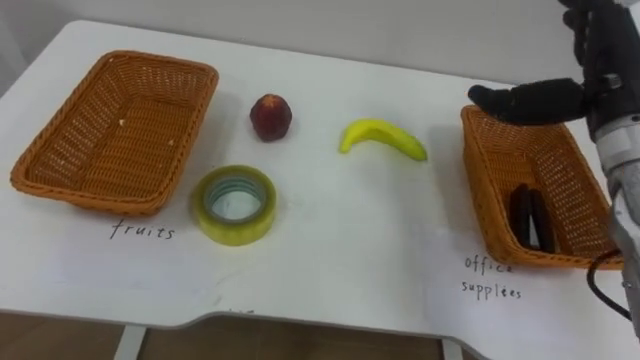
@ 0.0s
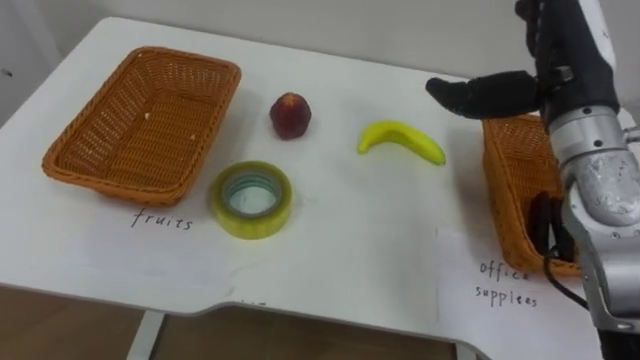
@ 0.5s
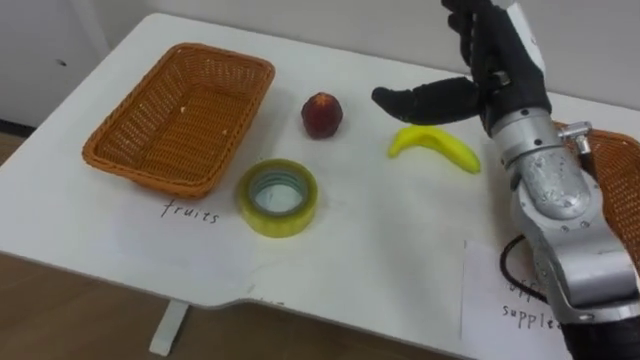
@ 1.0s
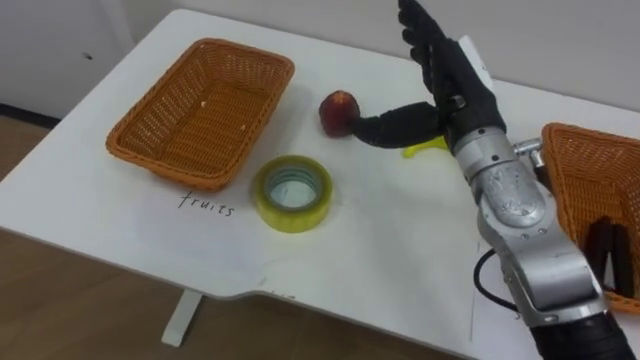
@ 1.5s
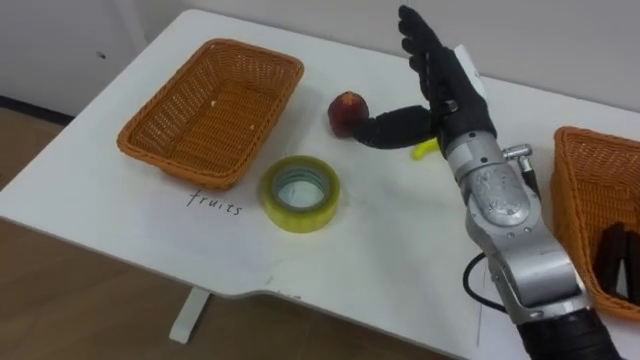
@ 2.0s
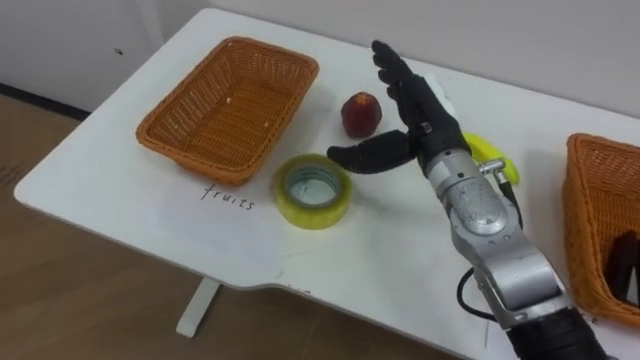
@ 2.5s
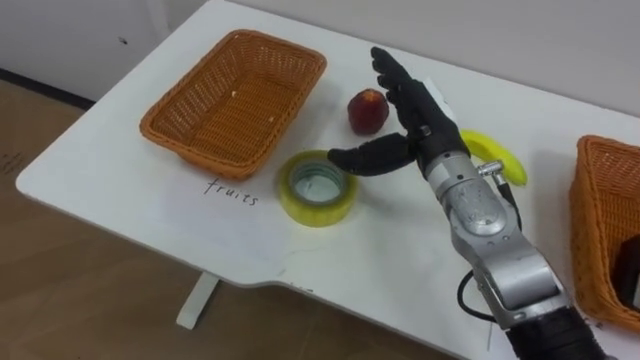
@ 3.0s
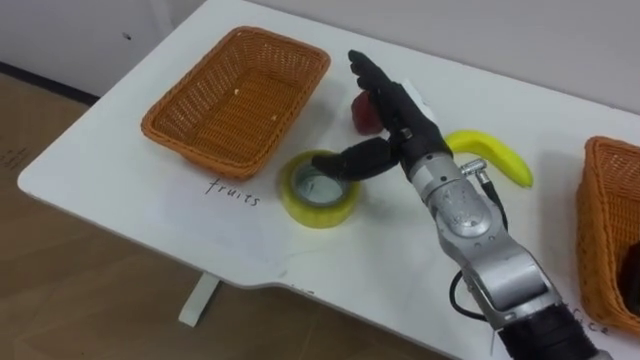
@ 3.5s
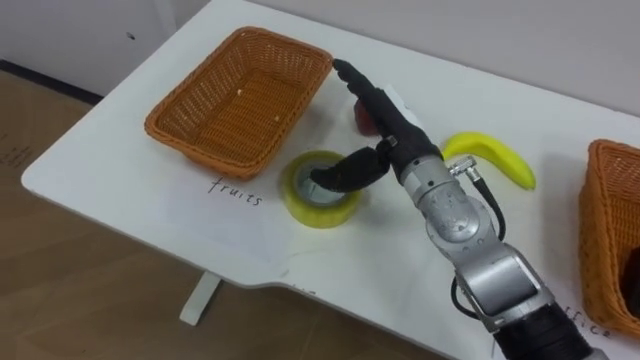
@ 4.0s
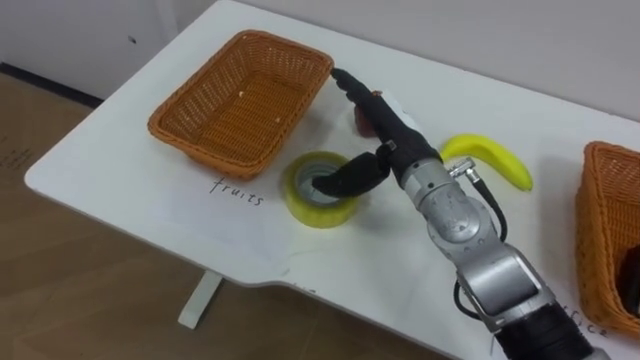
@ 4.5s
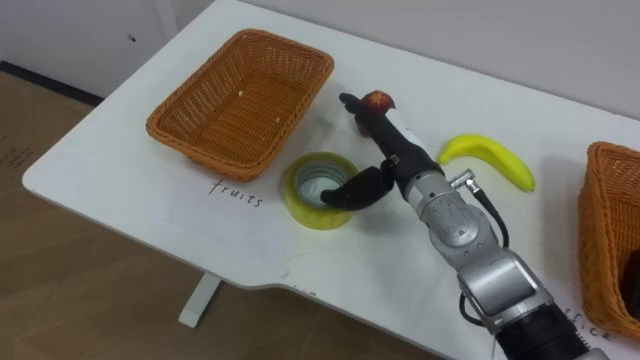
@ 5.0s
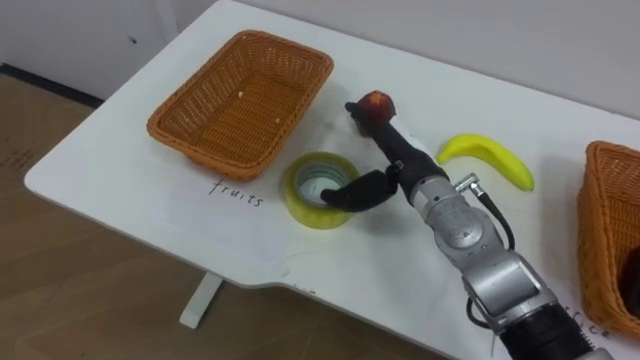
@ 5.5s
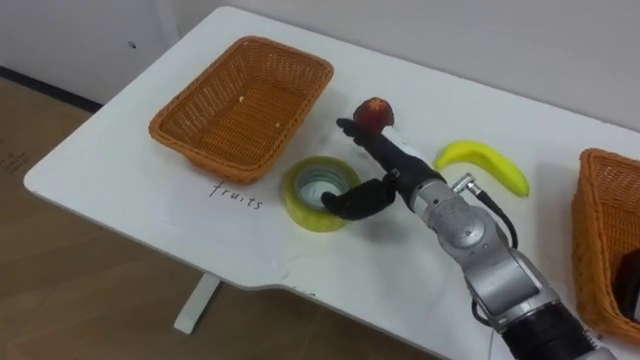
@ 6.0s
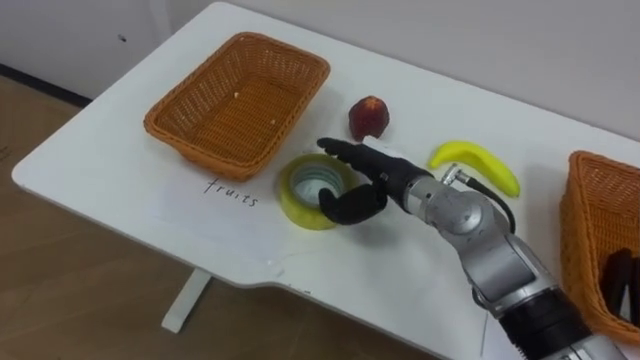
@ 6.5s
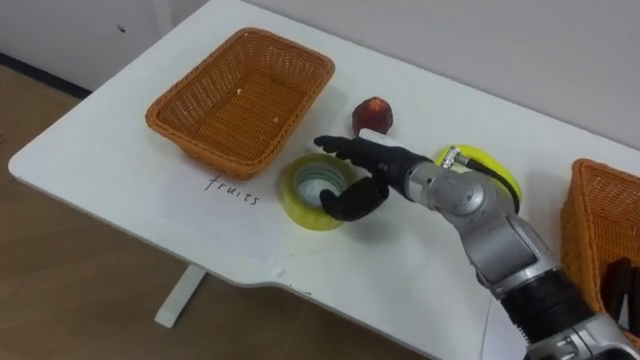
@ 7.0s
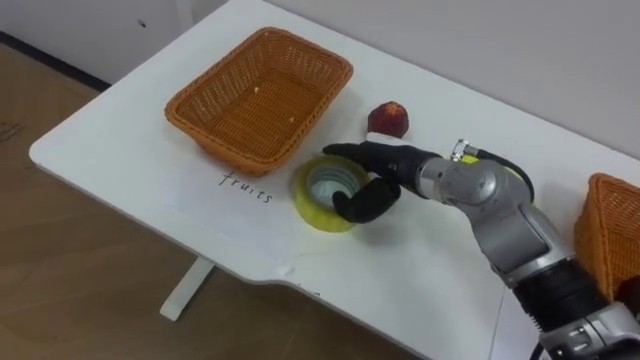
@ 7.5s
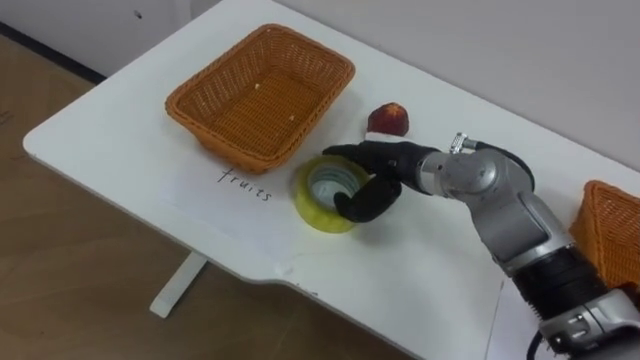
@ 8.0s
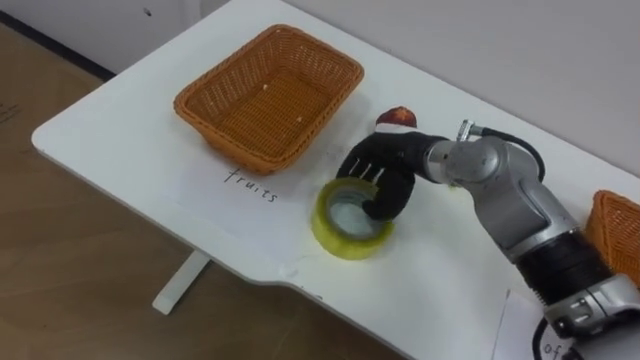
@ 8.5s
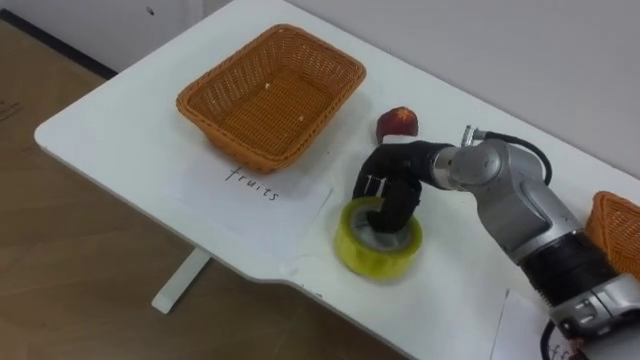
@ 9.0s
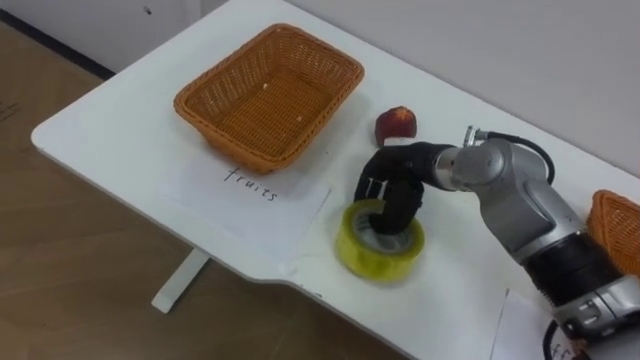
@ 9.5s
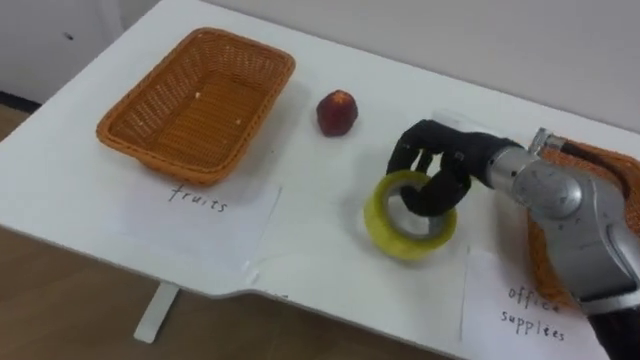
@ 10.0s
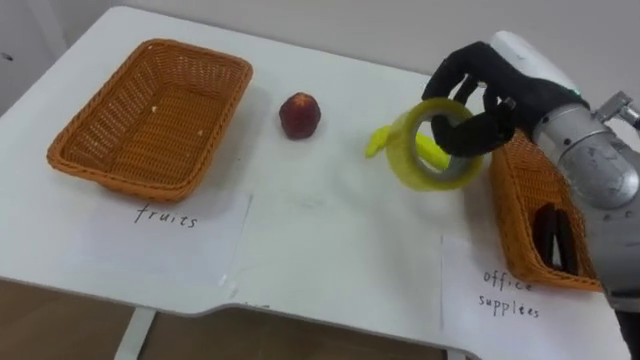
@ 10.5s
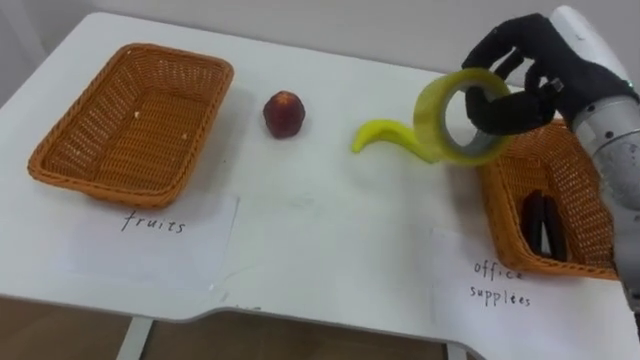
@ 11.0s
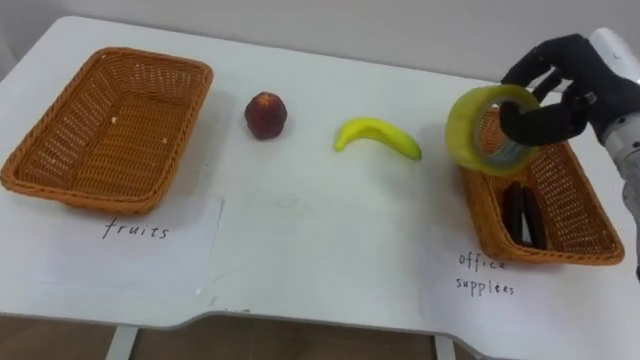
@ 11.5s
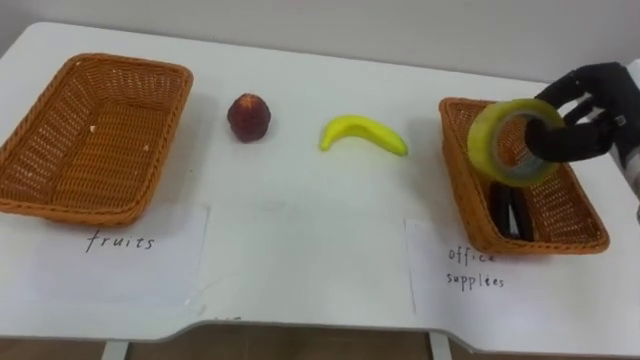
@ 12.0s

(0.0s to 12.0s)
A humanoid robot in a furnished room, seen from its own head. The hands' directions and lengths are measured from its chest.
Task of the whole recording: Separate the items on the table and place them into the two baskets.
0.0s - 2.0s: The right hand is displaced to the left and downward by approximately 15 cm.
2.0s - 4.0s: The right hand goes approximately 5 cm to the left.
4.0s - 6.0s: The right hand goes about 5 cm downward.
8.0s - 10.0s: The right hand shifts approximately 10 cm to the right, and closes its fingers.
10.0s - 12.0s: The right hand is displaced to the right by roughly 15 cm.

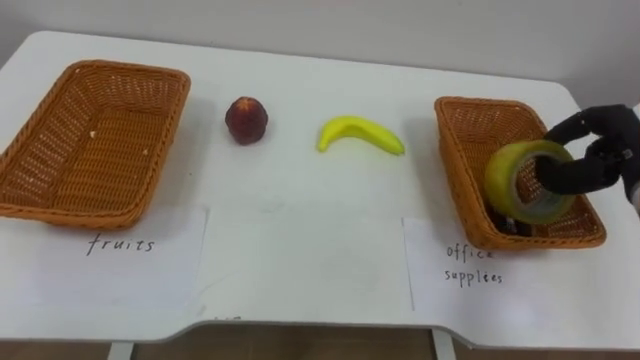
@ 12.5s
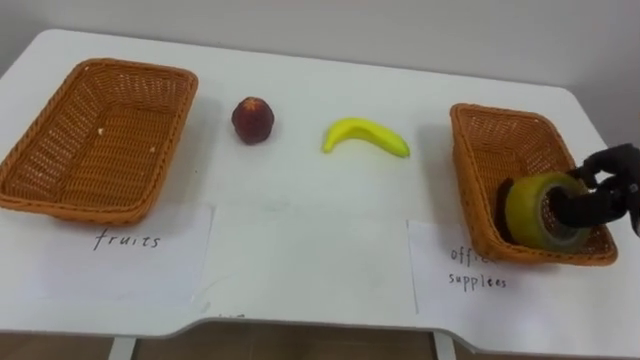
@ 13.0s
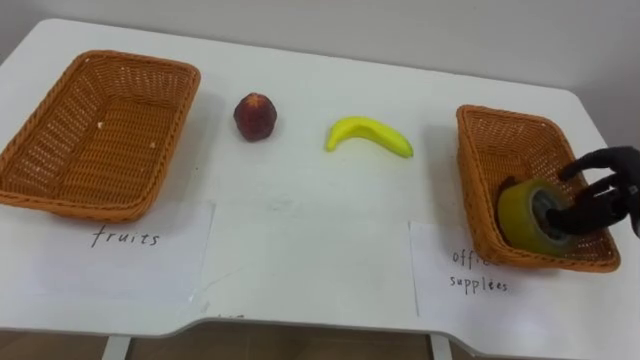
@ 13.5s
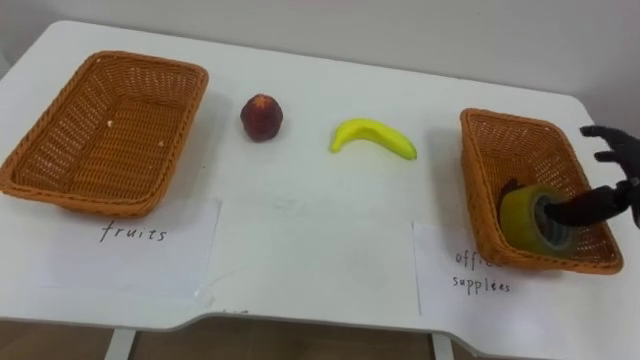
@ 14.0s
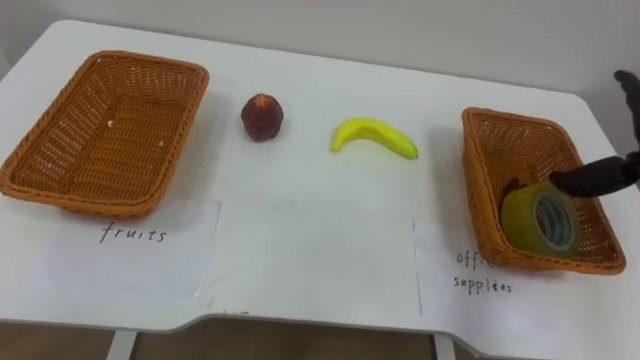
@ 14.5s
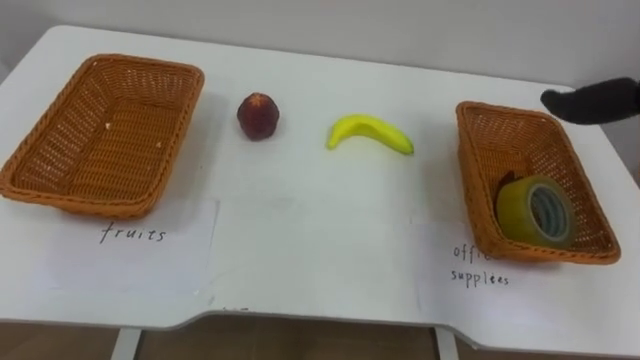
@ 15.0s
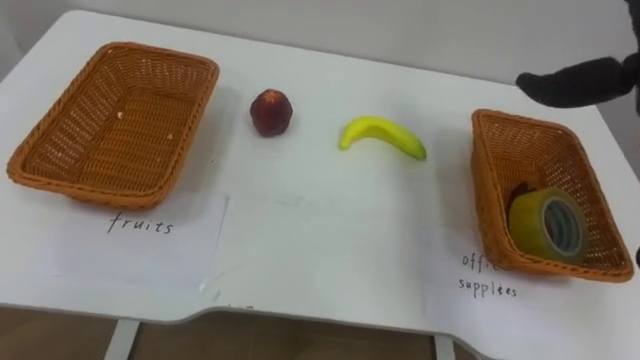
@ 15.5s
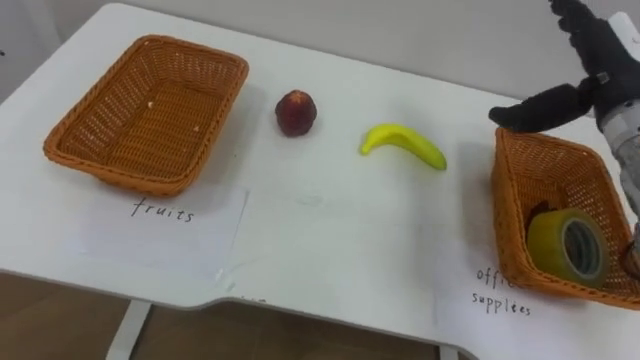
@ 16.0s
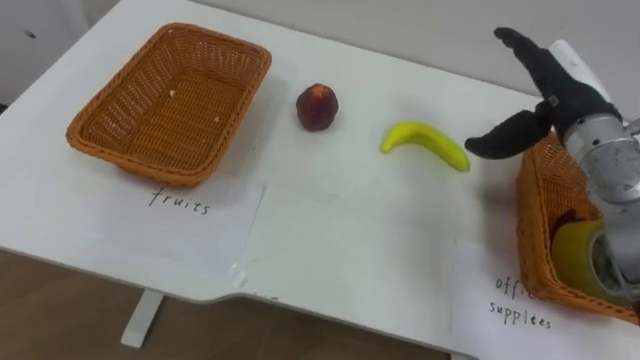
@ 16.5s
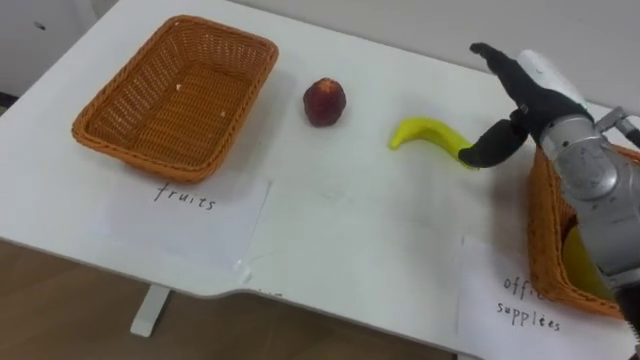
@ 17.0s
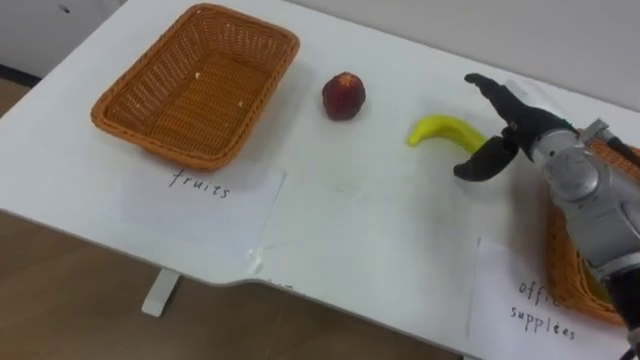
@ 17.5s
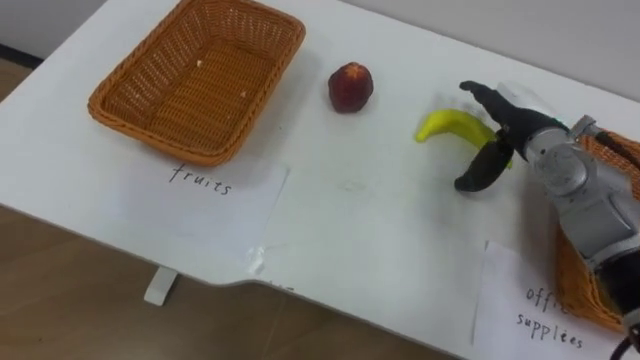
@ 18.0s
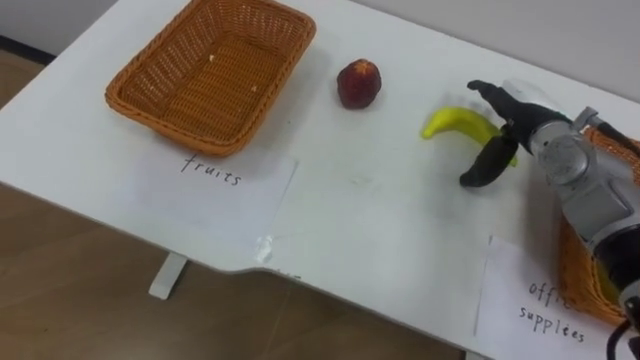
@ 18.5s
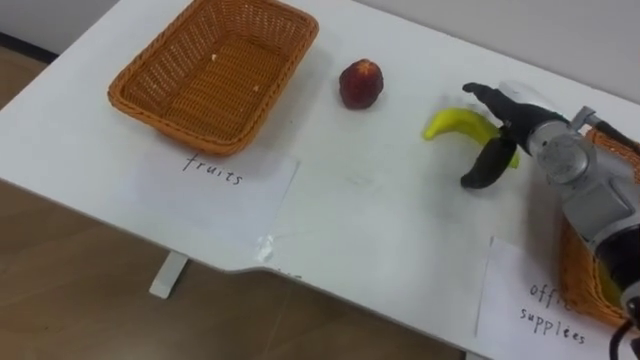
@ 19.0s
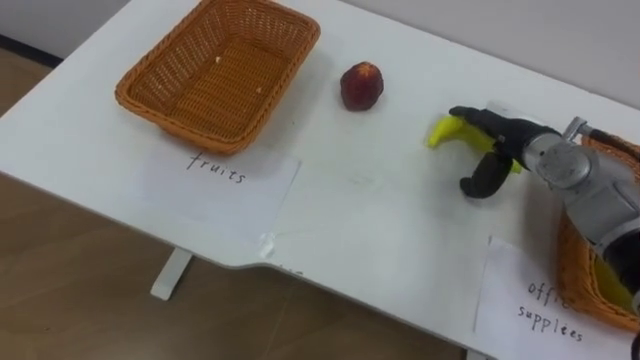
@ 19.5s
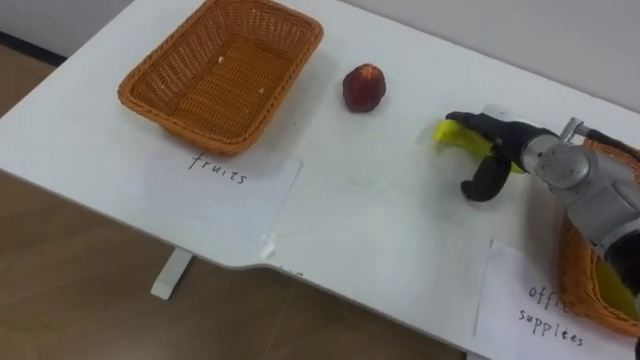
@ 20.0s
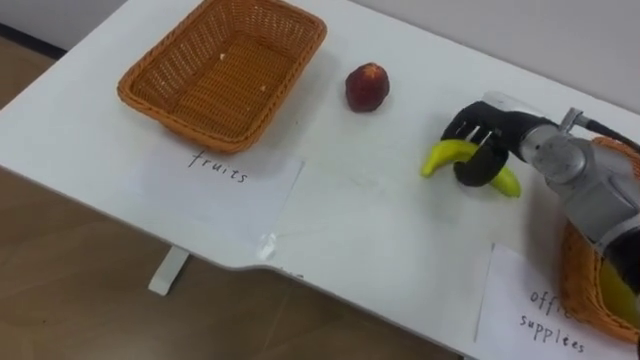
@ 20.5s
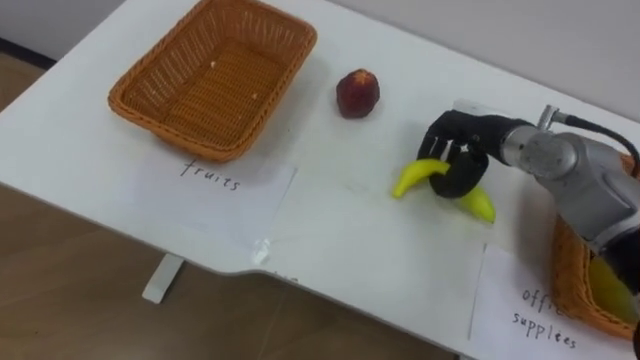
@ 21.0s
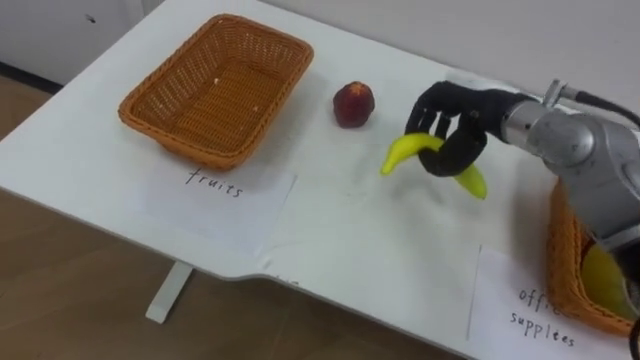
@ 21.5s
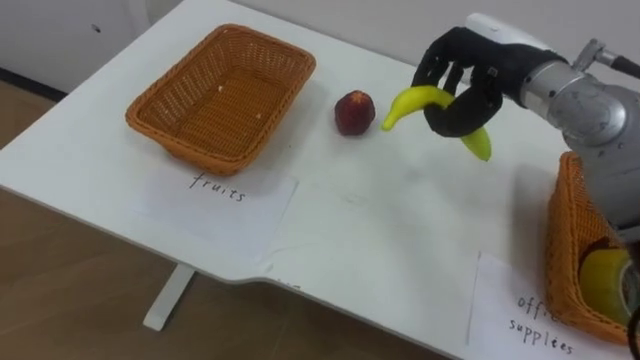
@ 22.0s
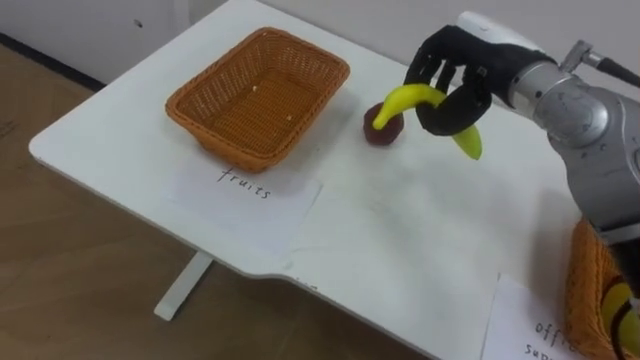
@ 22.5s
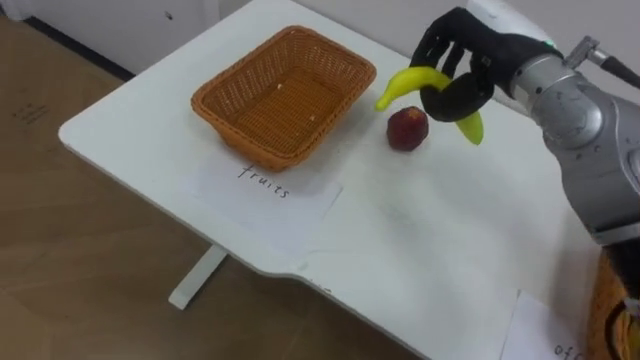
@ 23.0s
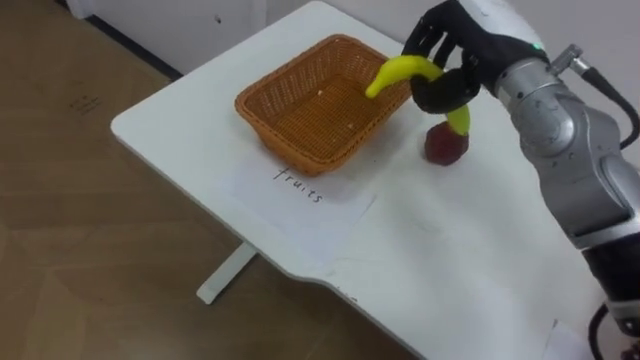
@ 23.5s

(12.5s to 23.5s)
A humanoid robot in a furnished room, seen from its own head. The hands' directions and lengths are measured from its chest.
Task of the whole recording: Separate the items on the table and place them into the two baskets.
16.0s - 18.0s: The right hand goes approximately 10 cm downward and to the left.
20.0s - 21.5s: The right hand goes some 10 cm upward and to the left, and closes its fingers.
21.5s - 23.5s: The right hand heads upward, covering about 5 cm.
